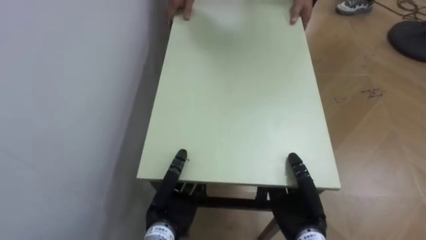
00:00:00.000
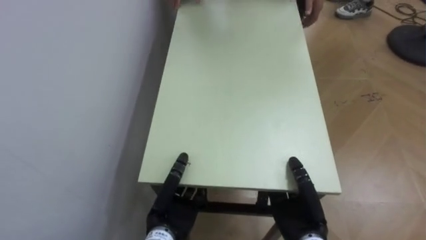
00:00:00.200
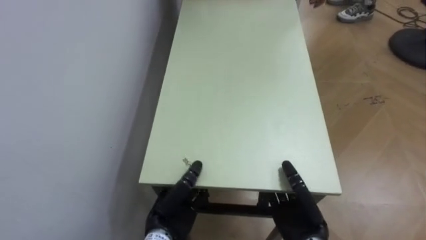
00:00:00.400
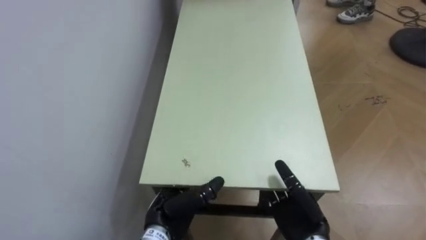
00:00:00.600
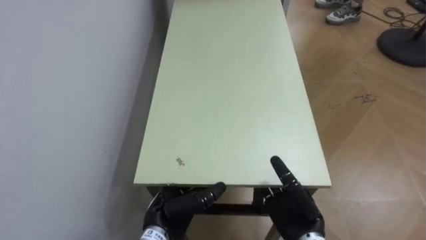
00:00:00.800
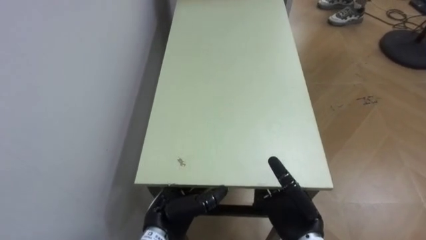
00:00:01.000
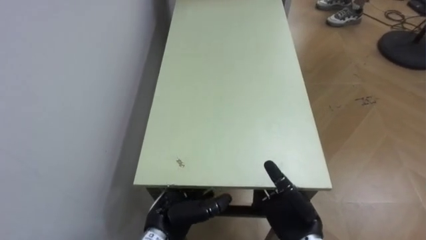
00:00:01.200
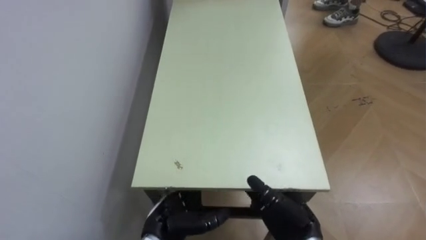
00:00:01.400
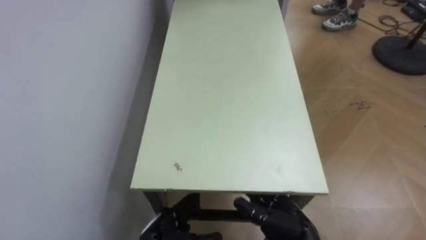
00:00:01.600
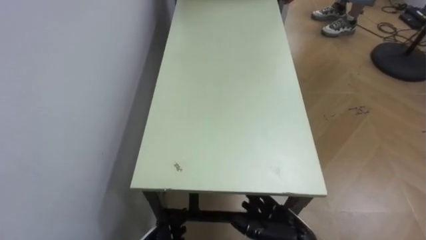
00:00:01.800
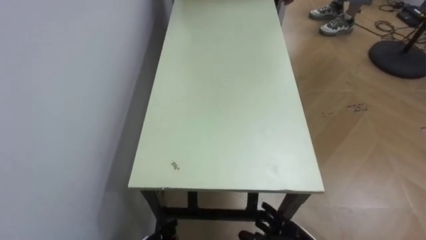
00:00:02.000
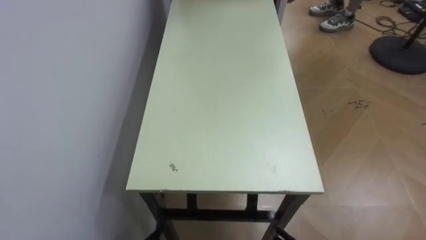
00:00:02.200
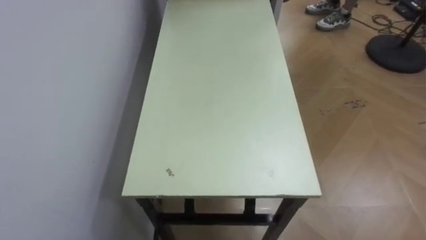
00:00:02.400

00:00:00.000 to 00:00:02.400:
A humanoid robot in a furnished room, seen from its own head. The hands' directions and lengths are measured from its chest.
Task of the whole recording: Move the table to the back left with someone.
00:00:00.000 to 00:00:01.200: The left hand opens its fingers. Meanwhile the right hand opens its fingers.

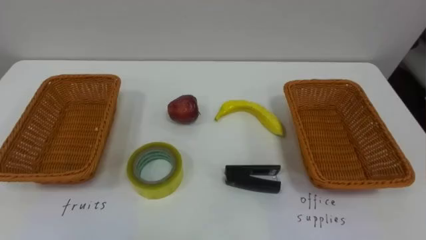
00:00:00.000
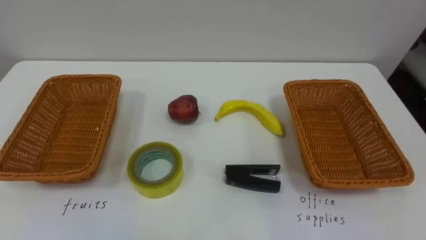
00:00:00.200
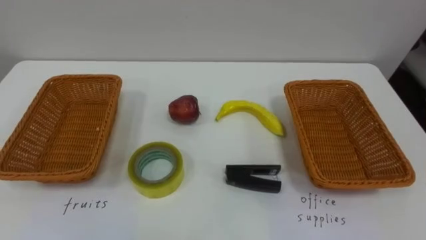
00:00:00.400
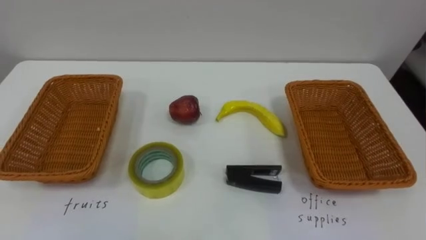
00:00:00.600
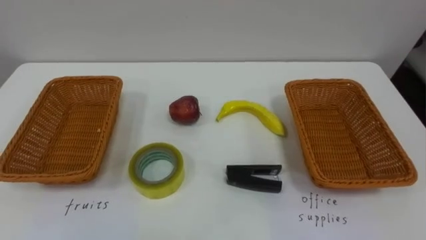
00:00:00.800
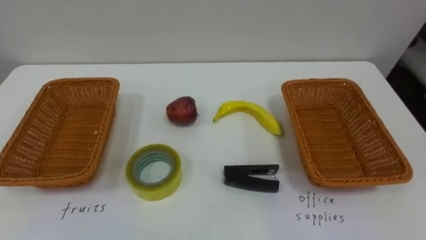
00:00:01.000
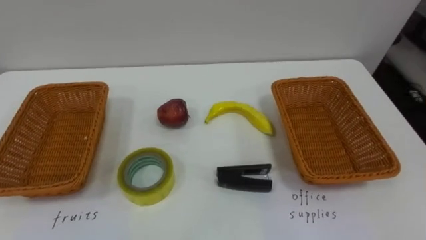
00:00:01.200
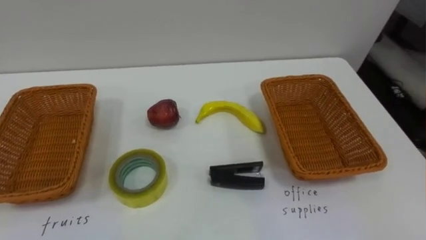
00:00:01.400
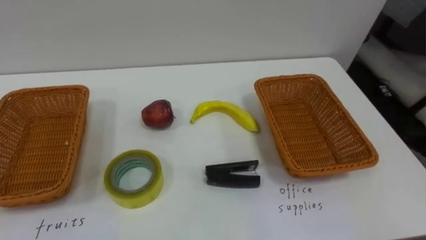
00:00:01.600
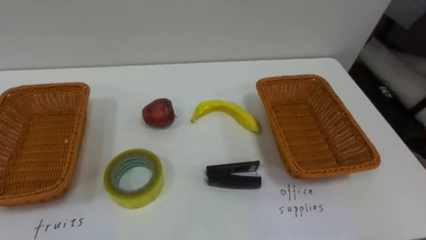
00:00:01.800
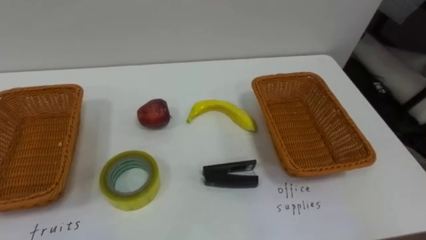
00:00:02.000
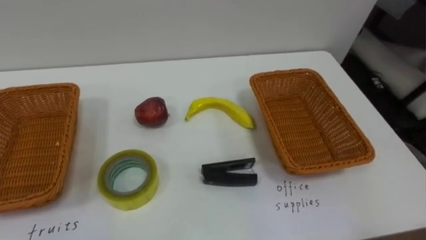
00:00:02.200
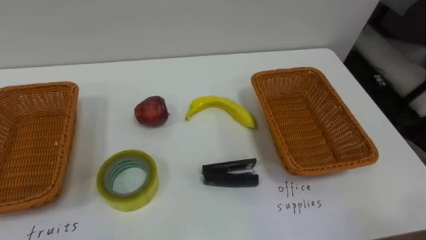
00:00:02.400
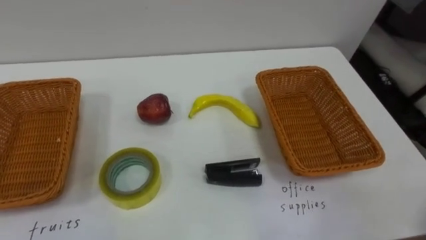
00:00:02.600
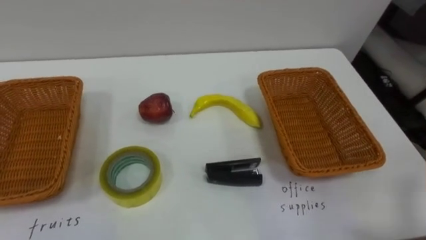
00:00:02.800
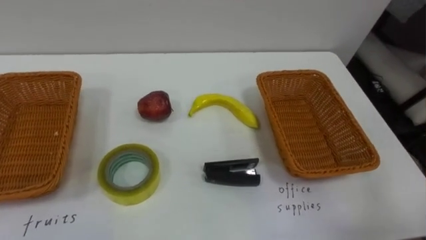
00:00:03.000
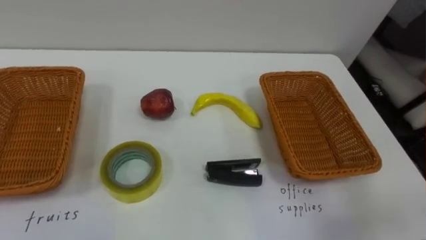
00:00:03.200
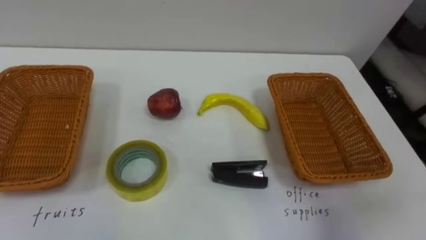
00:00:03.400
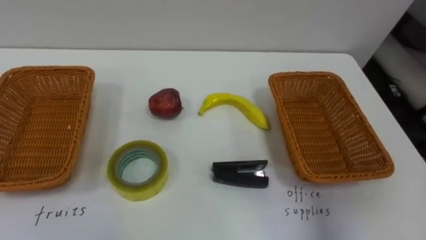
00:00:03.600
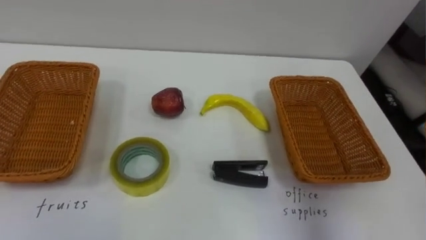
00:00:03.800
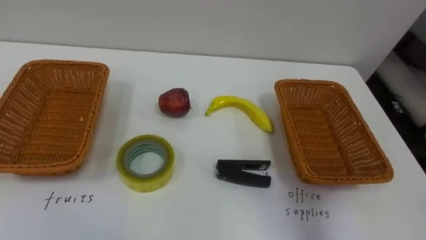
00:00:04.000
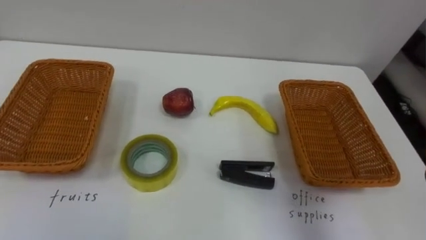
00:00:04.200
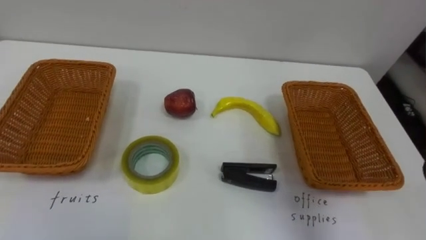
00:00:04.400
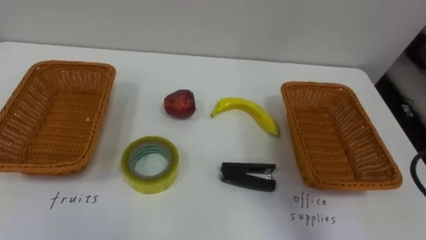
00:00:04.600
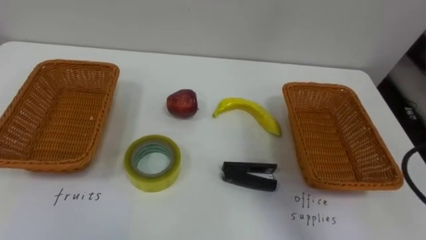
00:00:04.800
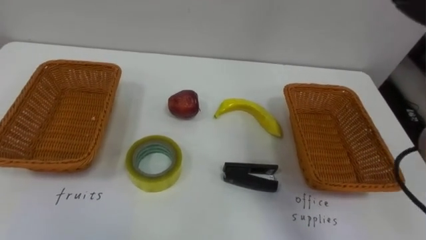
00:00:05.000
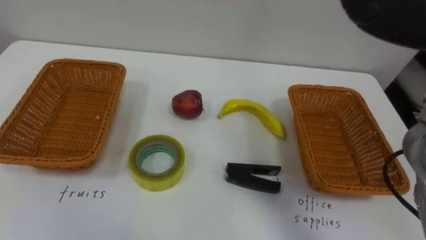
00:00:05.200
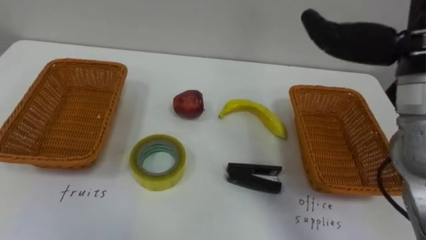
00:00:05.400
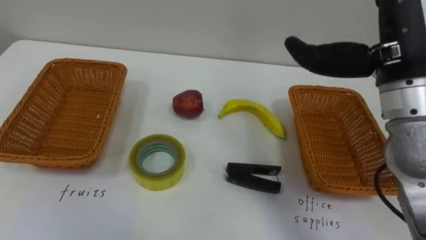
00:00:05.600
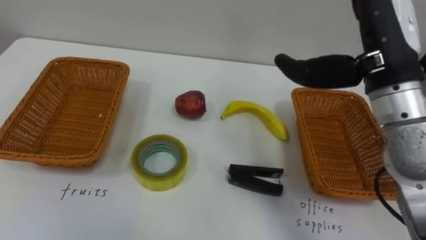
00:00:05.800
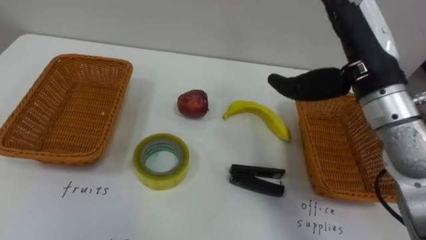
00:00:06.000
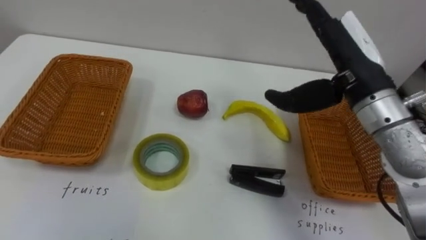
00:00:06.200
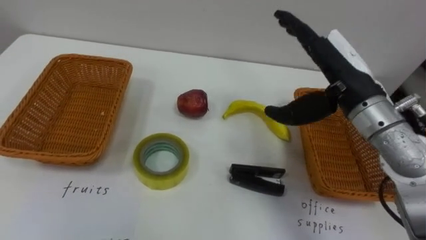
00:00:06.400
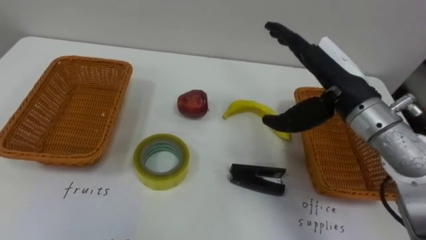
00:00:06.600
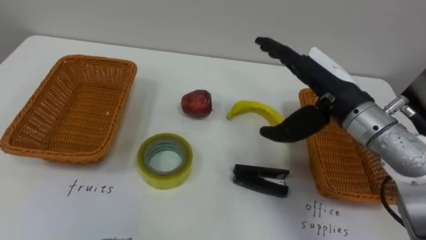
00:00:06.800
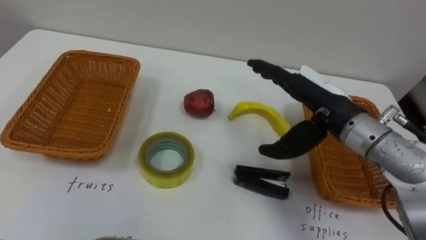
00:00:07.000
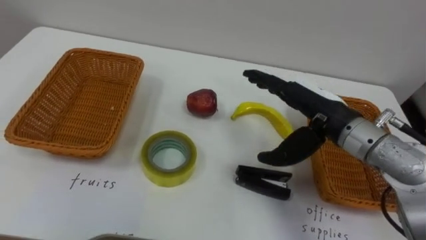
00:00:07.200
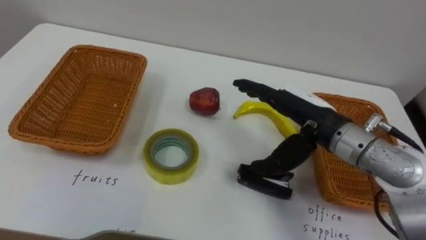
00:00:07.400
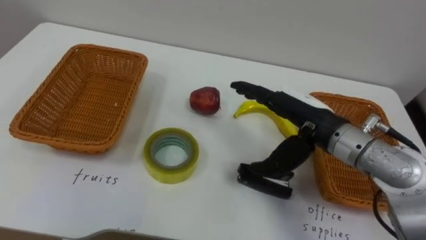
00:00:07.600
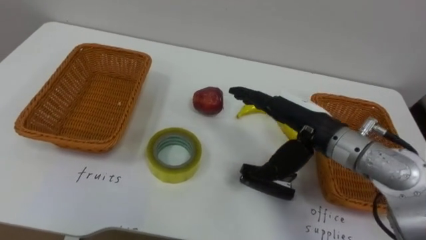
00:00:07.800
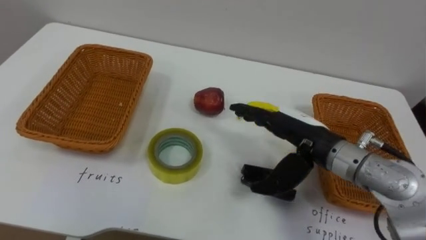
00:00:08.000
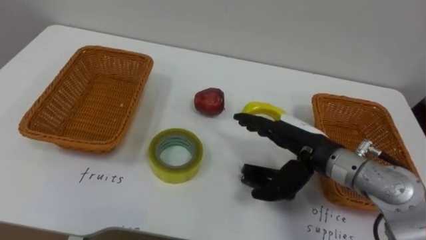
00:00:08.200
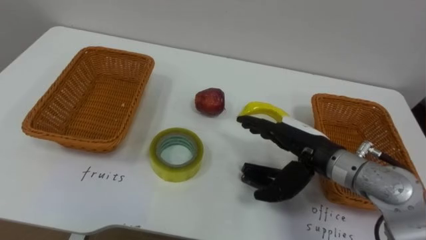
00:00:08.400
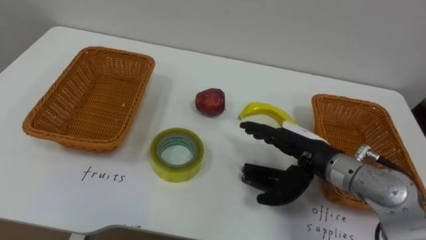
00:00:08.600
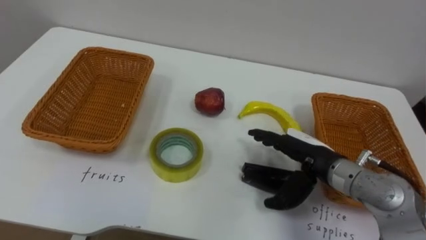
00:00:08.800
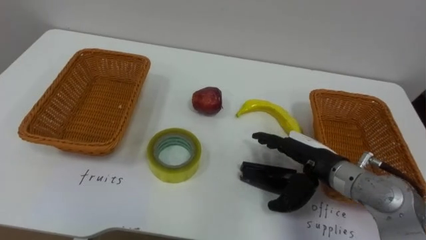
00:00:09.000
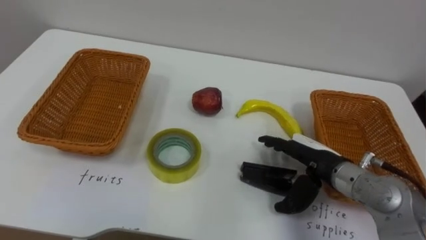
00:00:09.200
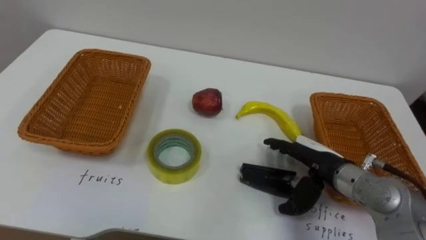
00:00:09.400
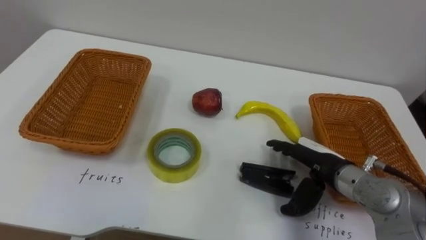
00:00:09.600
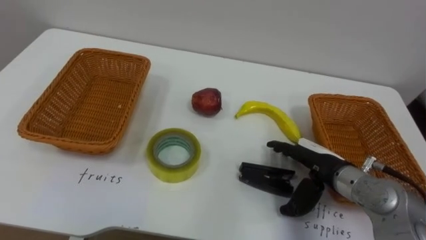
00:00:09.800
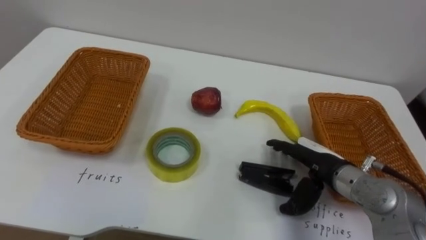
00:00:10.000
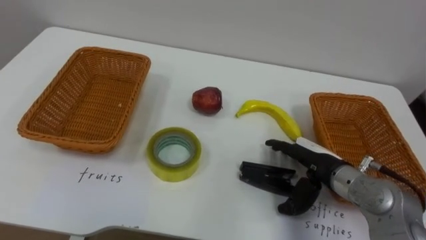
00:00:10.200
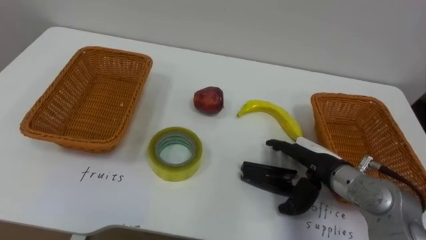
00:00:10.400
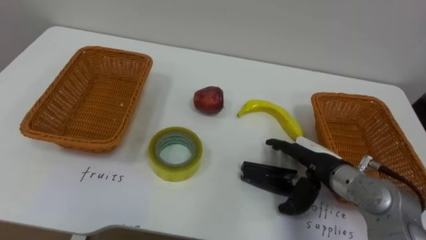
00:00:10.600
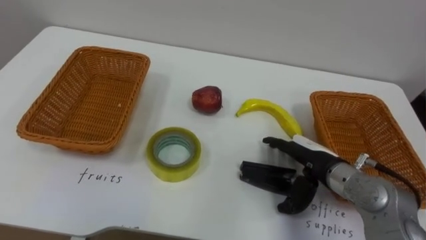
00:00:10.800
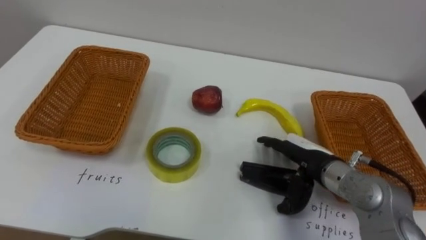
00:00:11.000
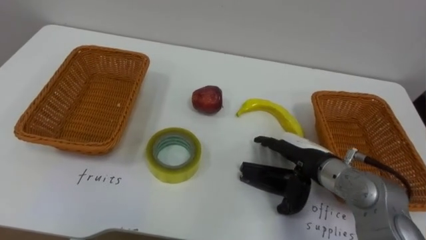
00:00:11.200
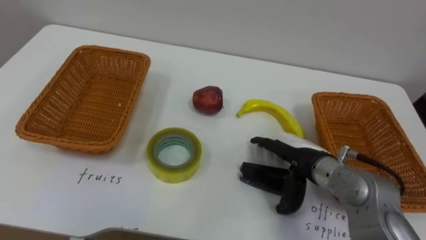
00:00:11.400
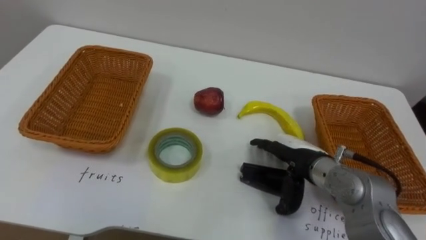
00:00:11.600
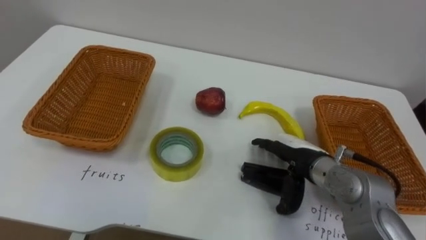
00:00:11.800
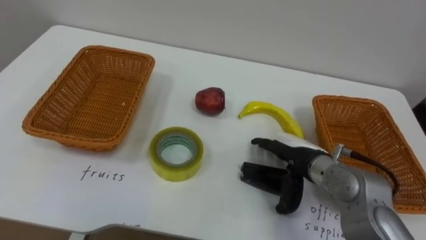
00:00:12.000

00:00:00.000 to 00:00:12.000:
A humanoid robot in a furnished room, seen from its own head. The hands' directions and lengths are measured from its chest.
Task of the whole recording: Separate the items on the table and place them into the two baskets.
00:00:06.000 to 00:00:07.600: The right hand travels downward by some 10 cm.
00:00:07.600 to 00:00:09.000: The right hand heads downward, covering approximately 10 cm.

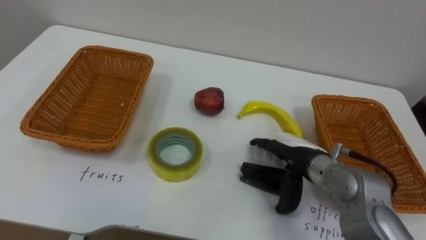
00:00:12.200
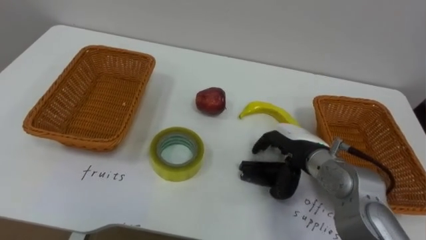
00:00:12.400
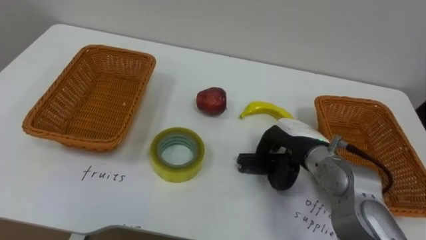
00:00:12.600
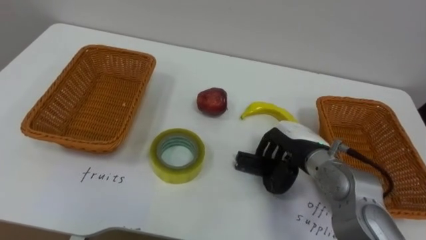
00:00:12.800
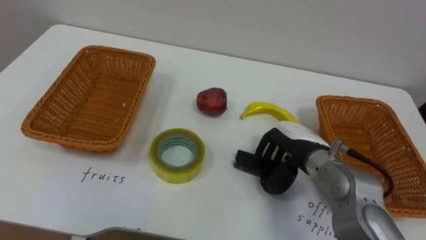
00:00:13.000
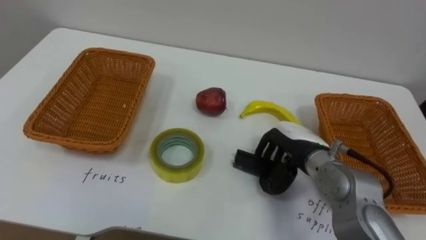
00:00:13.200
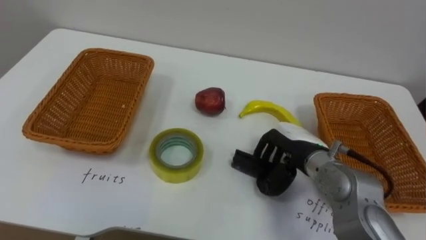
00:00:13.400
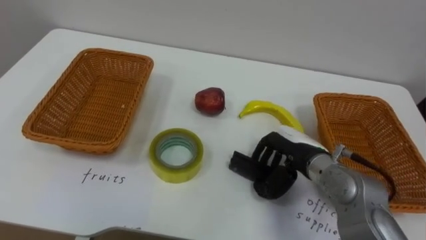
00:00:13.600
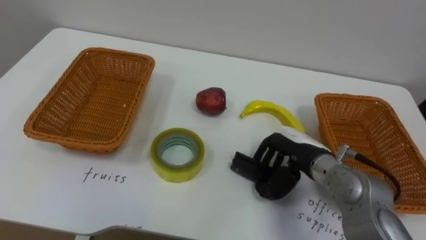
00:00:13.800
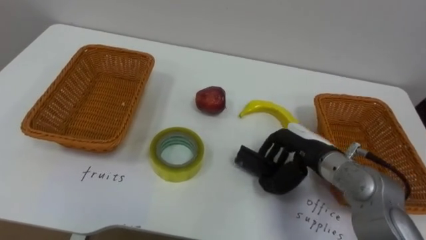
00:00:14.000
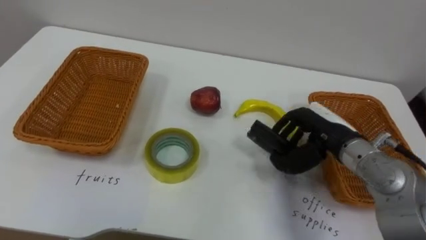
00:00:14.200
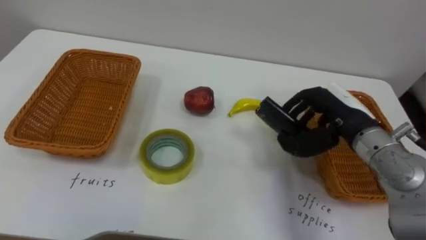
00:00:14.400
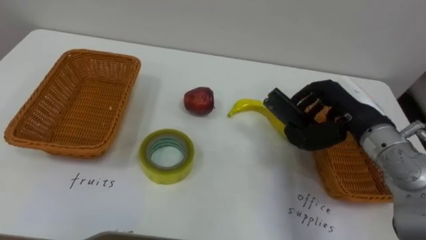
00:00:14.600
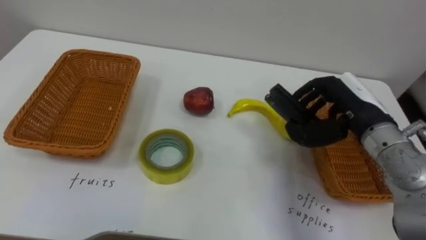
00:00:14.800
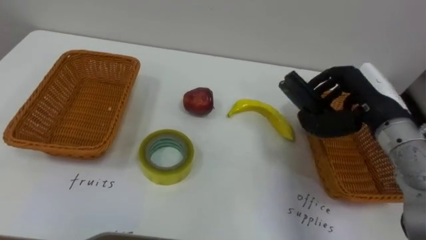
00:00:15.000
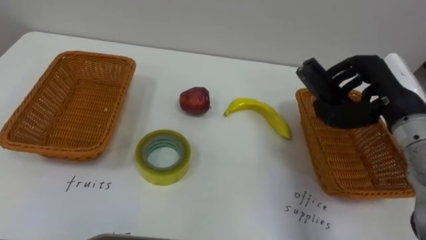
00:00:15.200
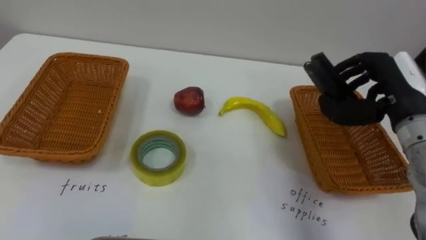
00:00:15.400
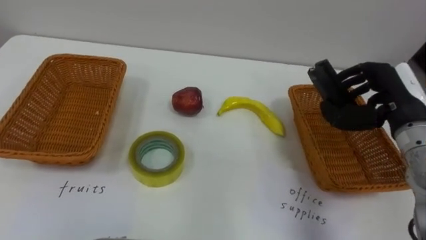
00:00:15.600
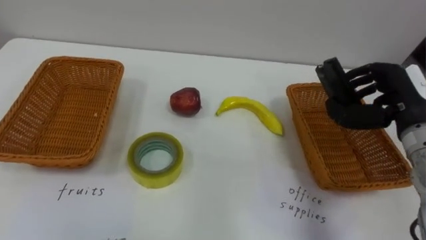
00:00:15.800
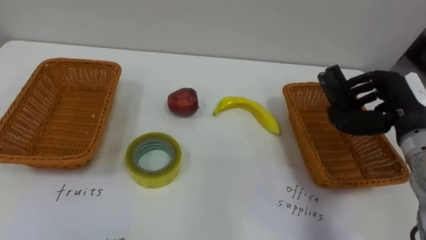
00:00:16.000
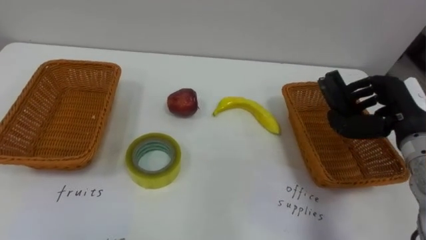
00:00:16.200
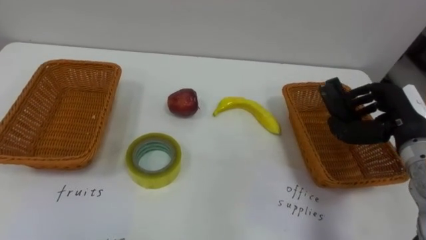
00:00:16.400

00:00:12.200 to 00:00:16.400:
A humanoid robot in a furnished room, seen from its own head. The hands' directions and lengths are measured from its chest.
Task of the whole recording: Separate the items on the table and place them into the two baskets.
00:00:12.200 to 00:00:13.600: The right hand closes.
00:00:13.600 to 00:00:15.000: The right hand goes some 15 cm upward and to the right.
00:00:15.000 to 00:00:16.400: The right hand moves to the right, about 5 cm.
